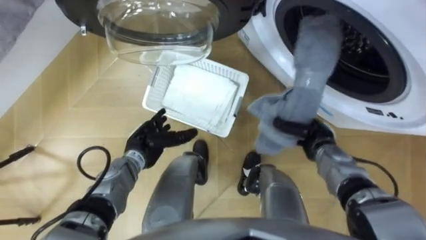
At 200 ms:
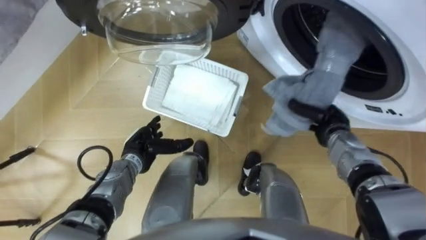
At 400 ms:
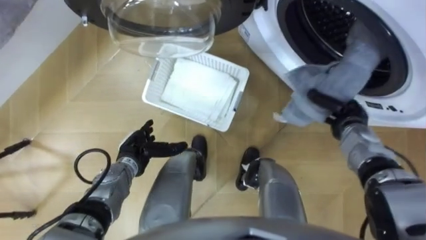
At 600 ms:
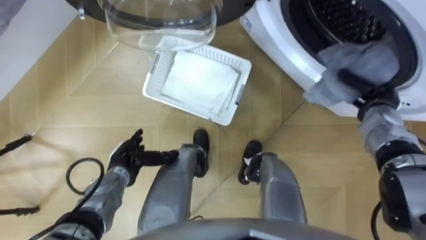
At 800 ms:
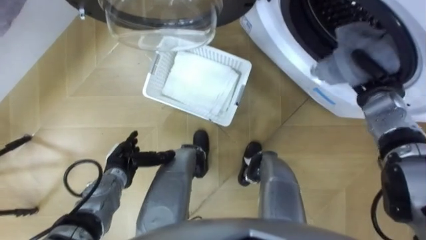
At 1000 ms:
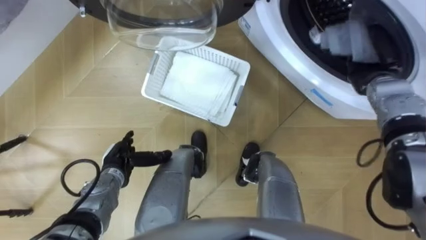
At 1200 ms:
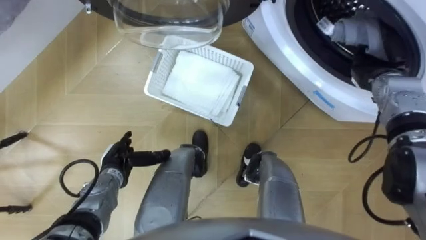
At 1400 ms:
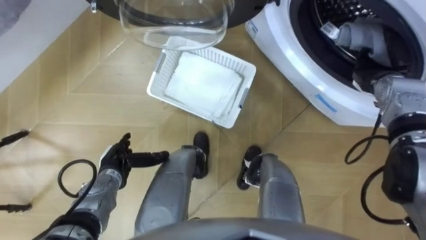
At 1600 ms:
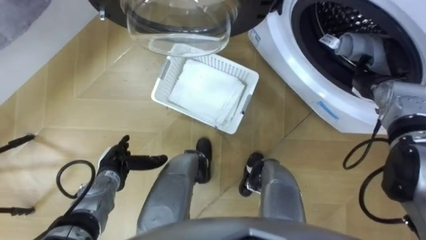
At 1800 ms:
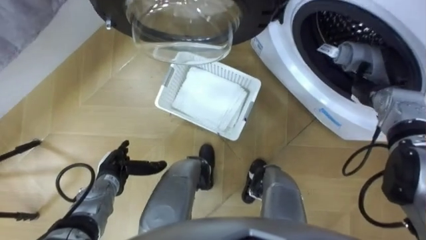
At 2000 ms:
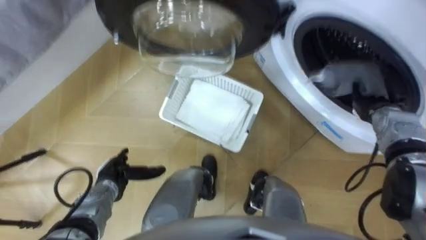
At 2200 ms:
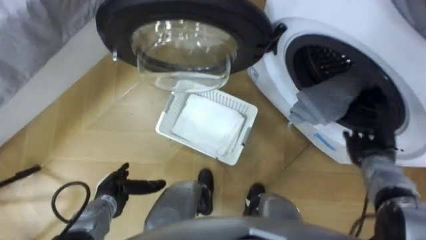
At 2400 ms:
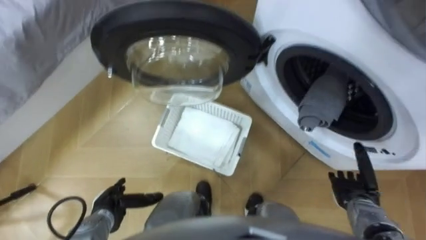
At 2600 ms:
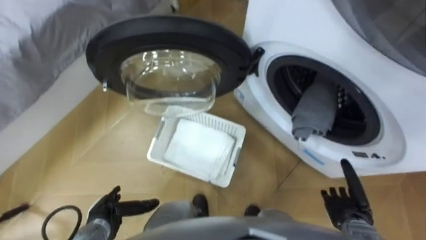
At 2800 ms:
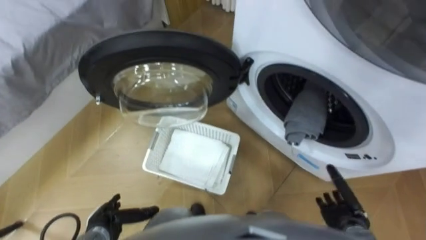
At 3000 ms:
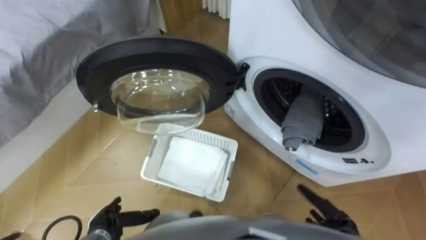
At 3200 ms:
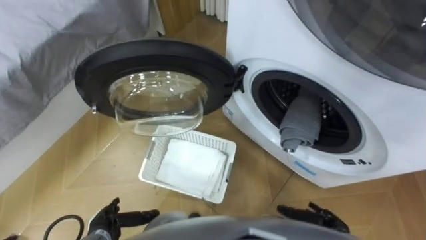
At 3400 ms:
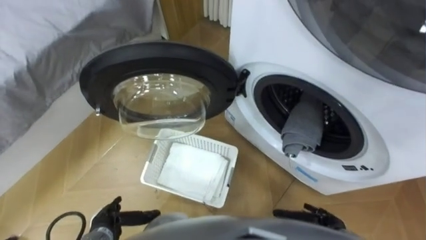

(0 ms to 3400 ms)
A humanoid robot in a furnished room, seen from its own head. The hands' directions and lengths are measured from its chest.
Task of the whole recording: Take the towel from the basket and put it into the washing machine.
0 ms - 1600 ms: The left hand is displaced to the left by approximately 5 cm. The right hand heads to the right, upward and forward, covering approximately 15 cm, and opens.
1600 ms - 3400 ms: The right hand is displaced backward and downward by roughly 35 cm, while the left hand is displaced backward by approximately 15 cm.

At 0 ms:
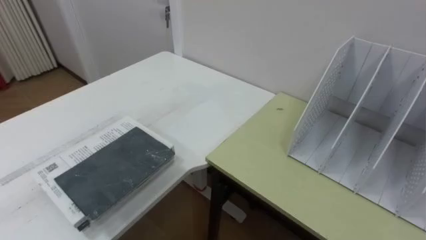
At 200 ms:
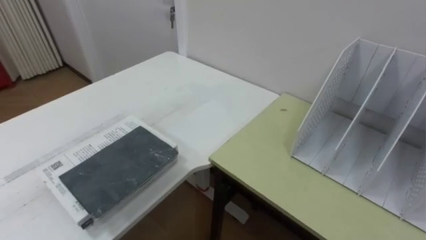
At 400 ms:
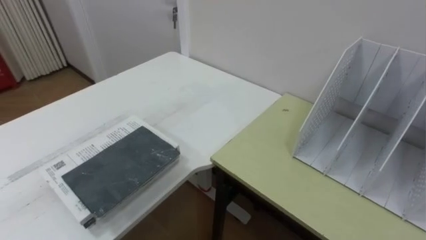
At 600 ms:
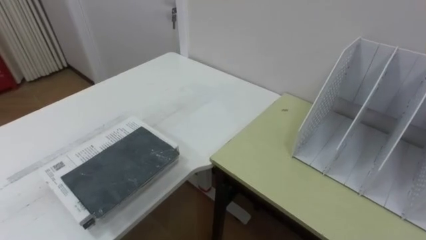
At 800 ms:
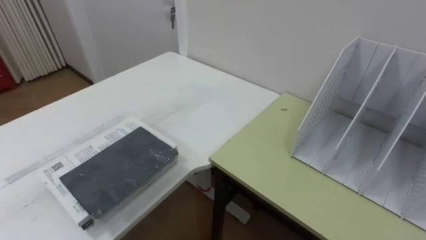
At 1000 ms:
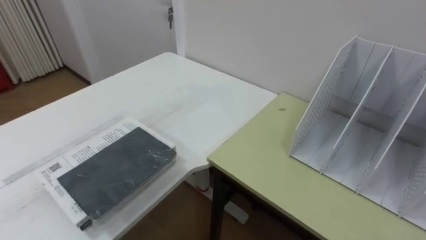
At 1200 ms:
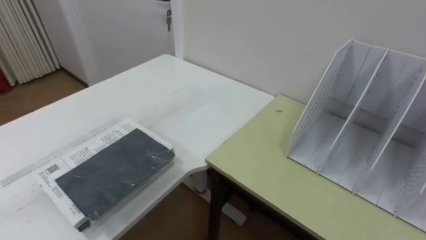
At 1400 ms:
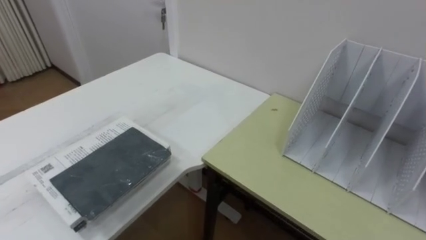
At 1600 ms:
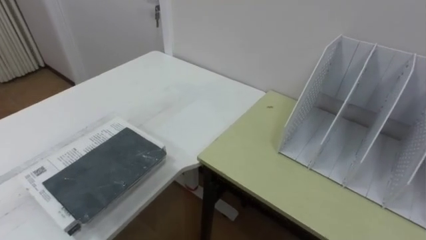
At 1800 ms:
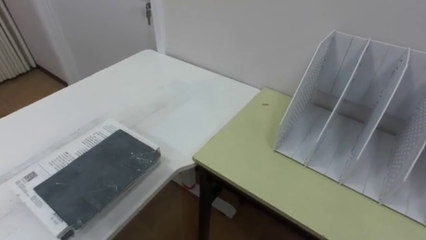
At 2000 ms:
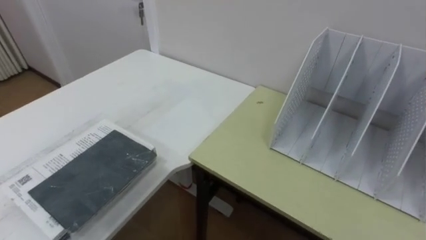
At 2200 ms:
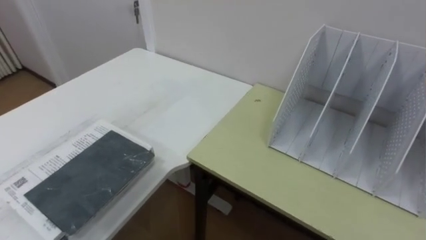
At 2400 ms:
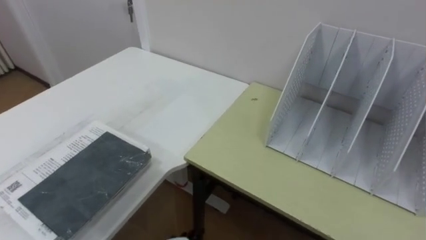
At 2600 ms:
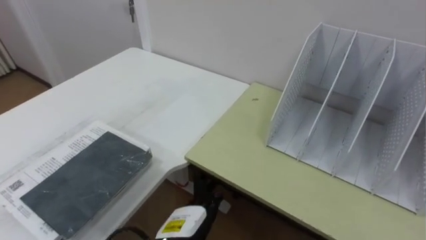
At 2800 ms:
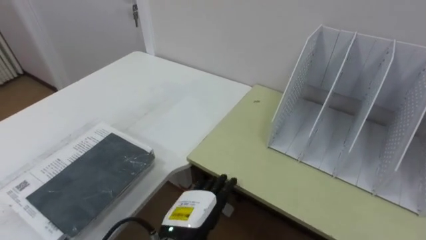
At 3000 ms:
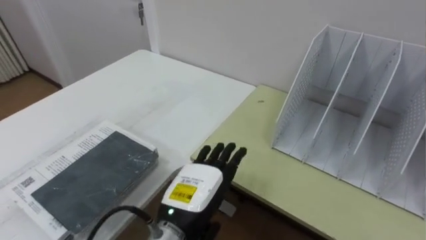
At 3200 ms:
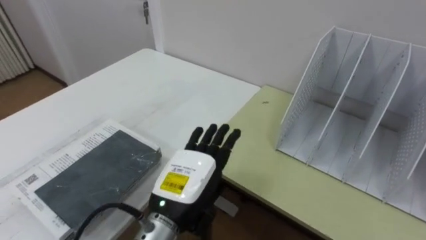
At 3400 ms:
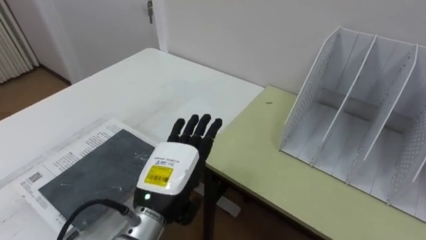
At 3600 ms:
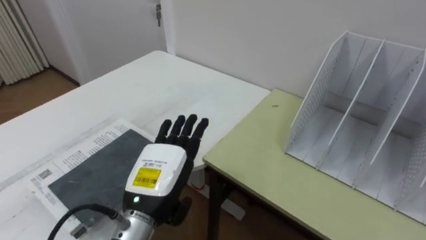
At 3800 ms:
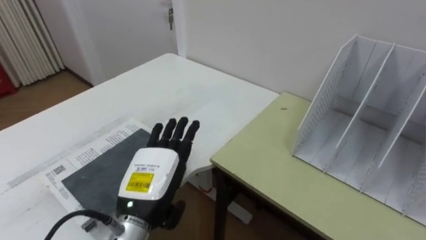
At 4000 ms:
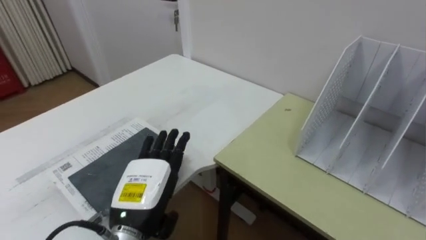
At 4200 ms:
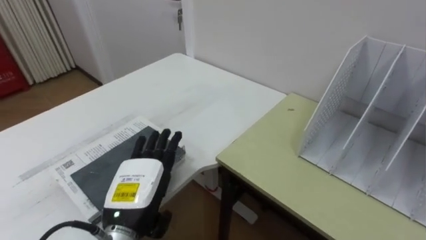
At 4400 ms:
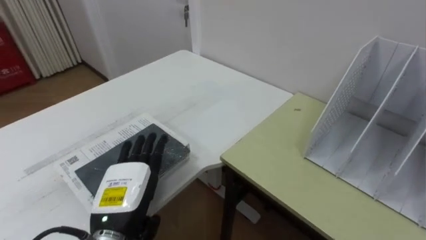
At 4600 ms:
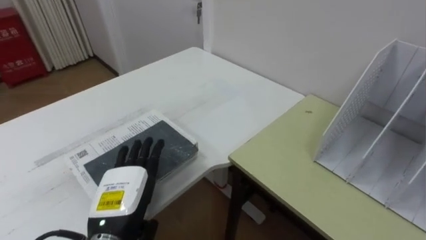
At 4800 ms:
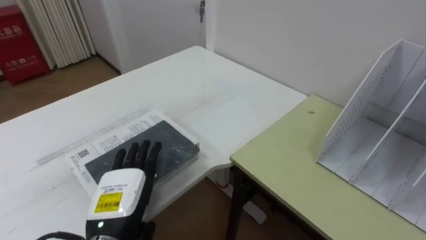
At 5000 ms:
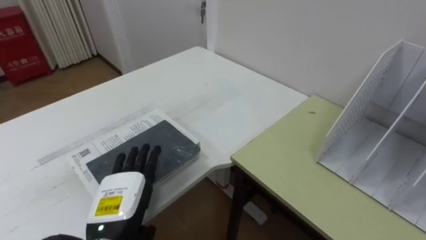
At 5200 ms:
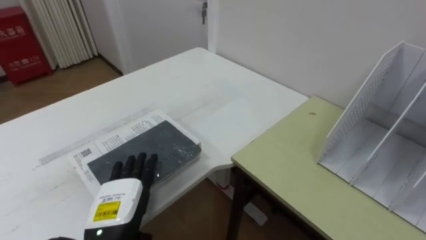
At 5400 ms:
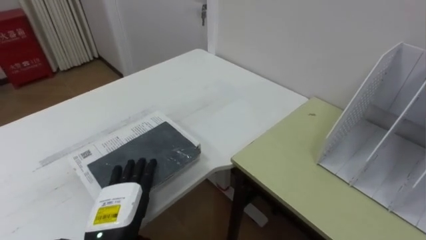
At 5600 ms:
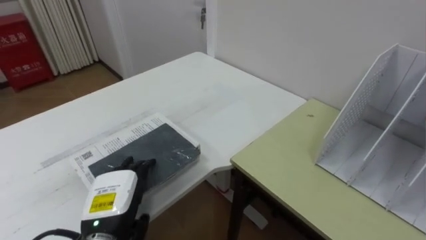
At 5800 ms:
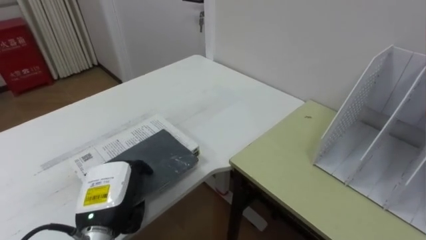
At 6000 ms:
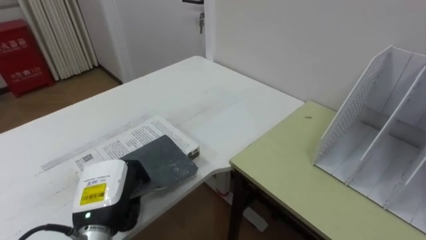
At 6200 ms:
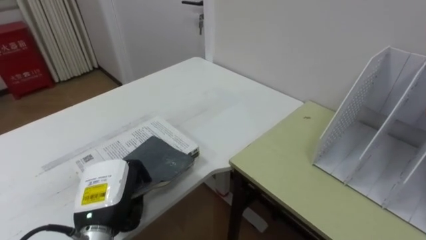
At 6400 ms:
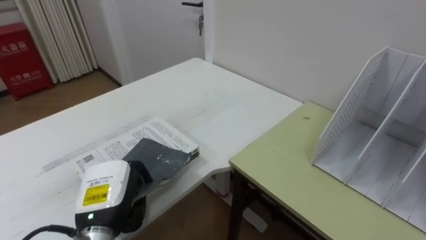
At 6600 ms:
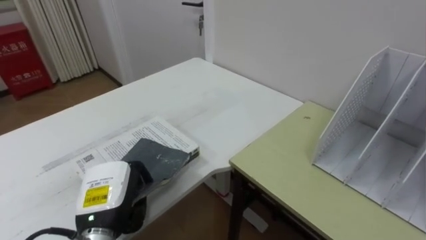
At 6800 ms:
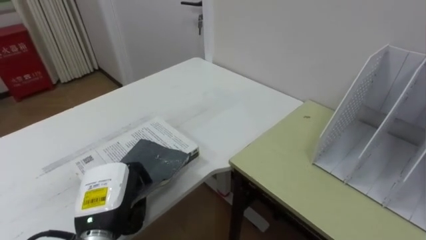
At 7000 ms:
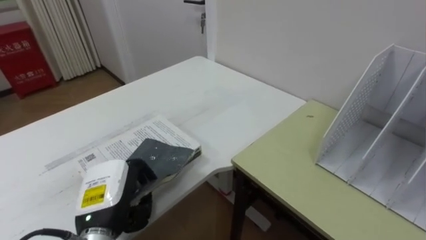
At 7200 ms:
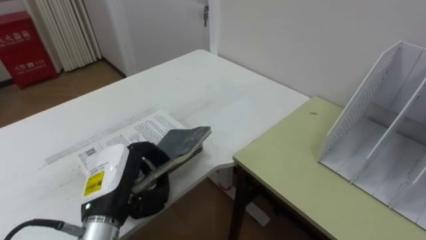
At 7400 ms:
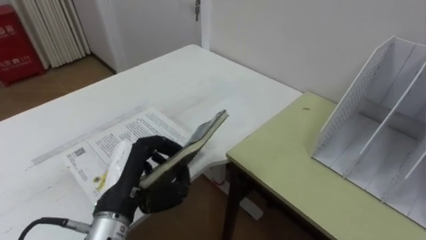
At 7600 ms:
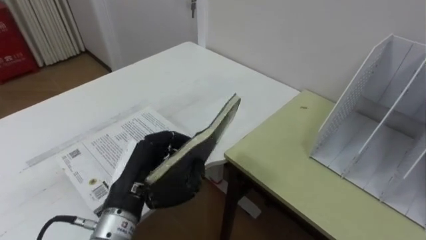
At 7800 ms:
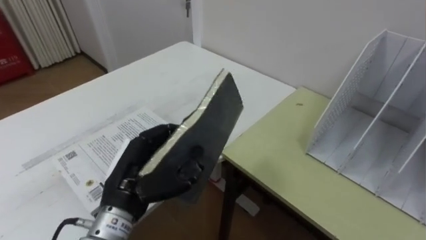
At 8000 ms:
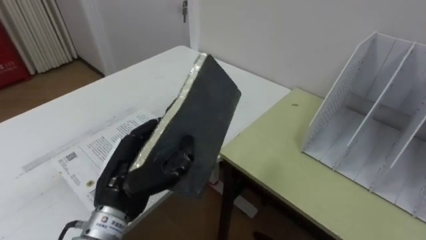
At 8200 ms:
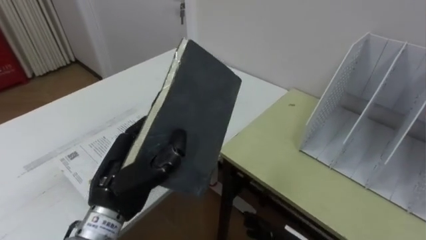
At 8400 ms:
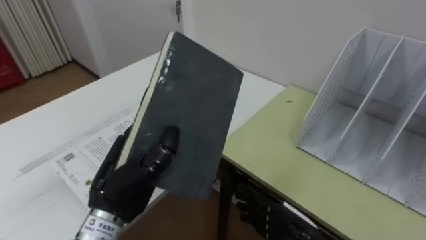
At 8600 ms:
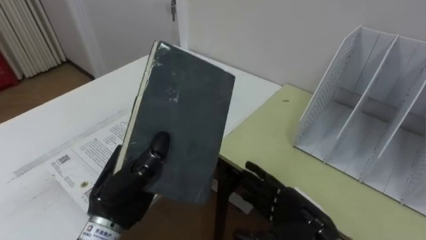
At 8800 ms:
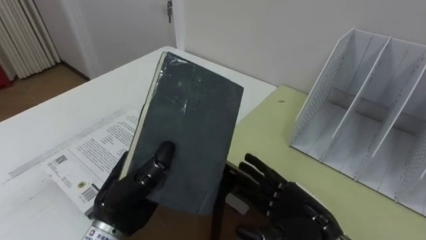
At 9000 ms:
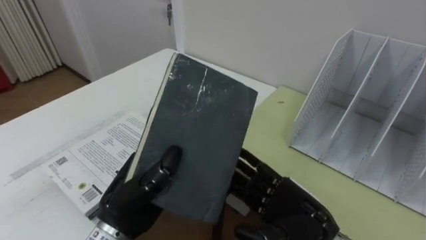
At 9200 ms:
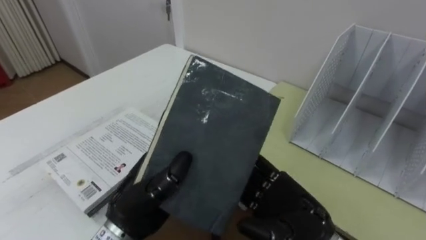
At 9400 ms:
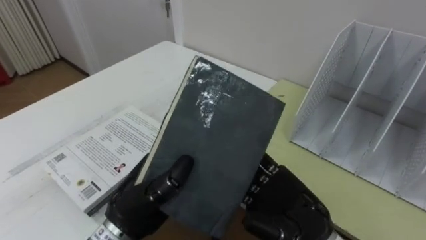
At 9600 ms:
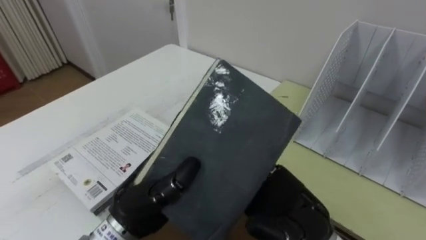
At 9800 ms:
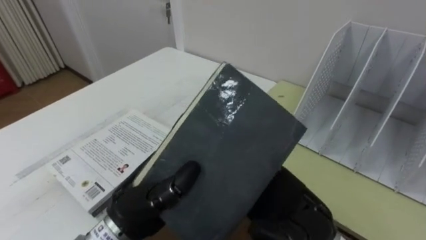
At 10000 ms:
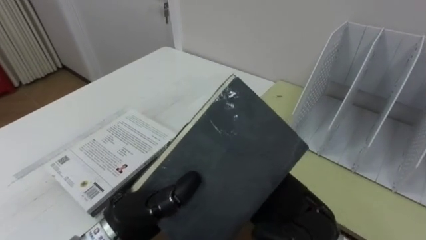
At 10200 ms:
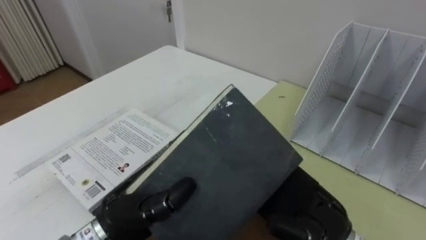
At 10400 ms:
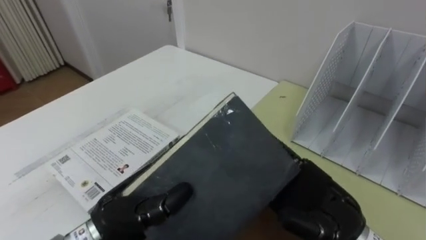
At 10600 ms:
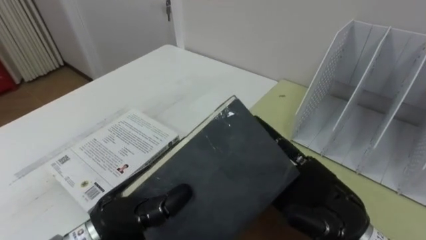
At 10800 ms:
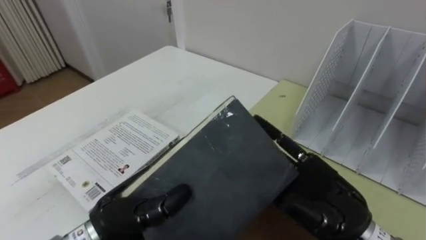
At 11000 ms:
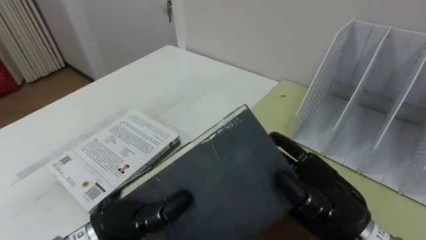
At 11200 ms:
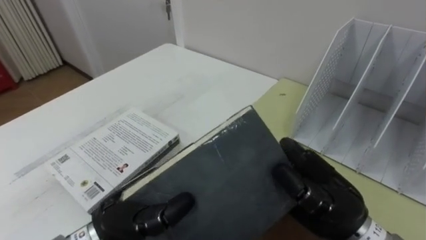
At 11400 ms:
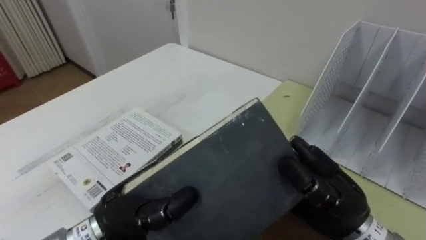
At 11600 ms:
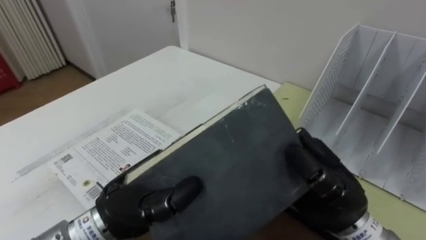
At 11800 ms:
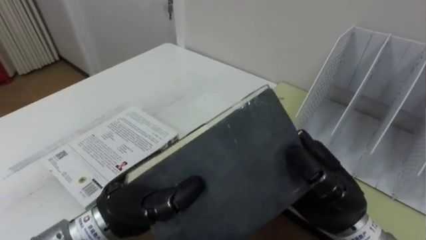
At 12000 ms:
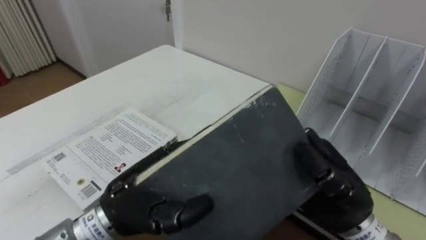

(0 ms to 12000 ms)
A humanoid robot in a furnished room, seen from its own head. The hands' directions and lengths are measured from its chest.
Task of the whole recording: Put the books on the table onto the bookshelf.
3000 ms - 4400 ms: The left hand heads to the left, covering some 10 cm.
4400 ms - 6000 ms: The left hand closes.
6000 ms - 7600 ms: The left hand shifts about 10 cm upward and to the right.
9000 ms - 10400 ms: The right hand heads upward, covering some 5 cm.
10400 ms - 12000 ms: The right hand closes.

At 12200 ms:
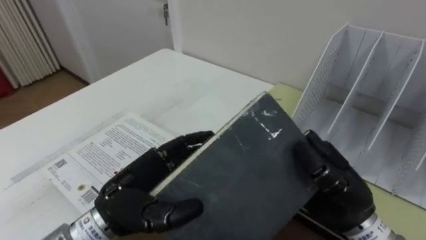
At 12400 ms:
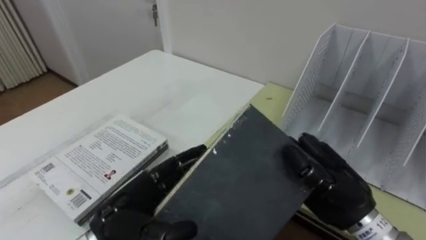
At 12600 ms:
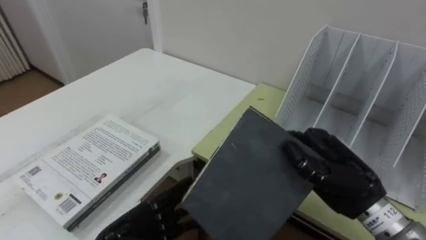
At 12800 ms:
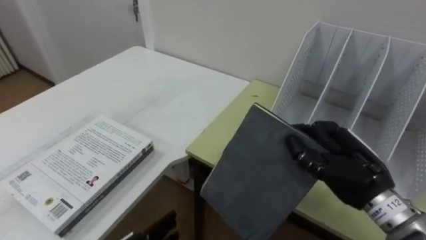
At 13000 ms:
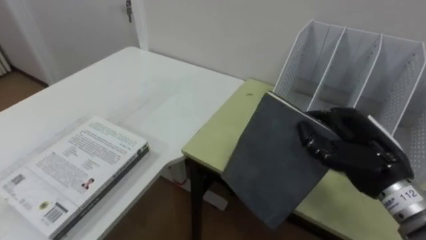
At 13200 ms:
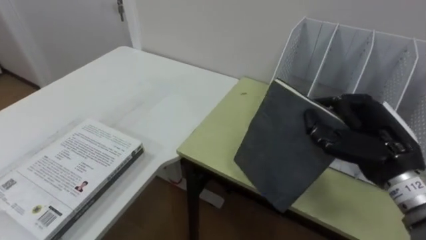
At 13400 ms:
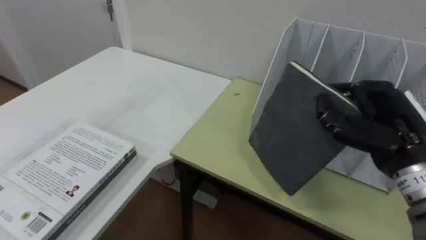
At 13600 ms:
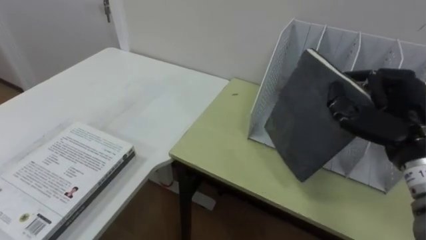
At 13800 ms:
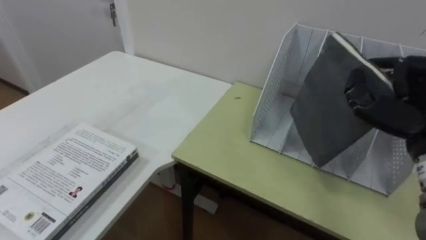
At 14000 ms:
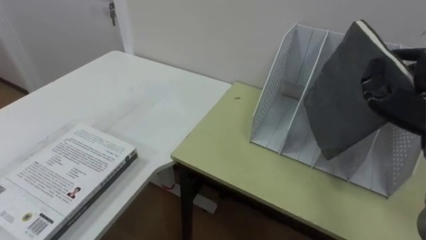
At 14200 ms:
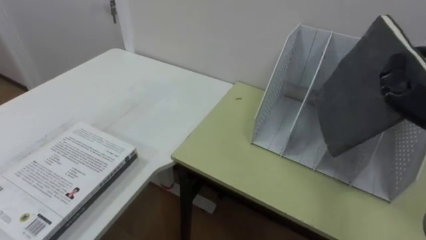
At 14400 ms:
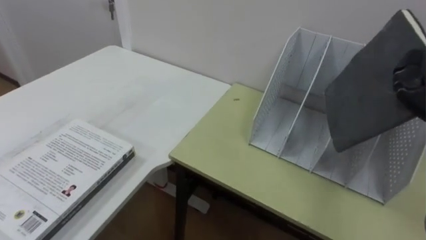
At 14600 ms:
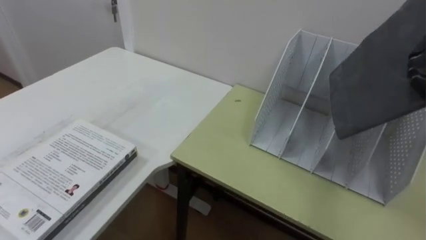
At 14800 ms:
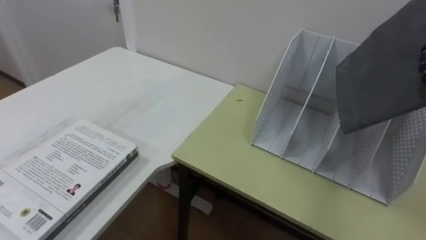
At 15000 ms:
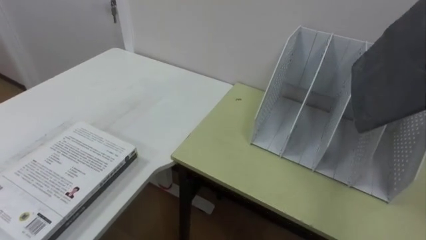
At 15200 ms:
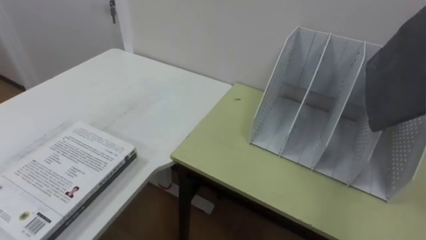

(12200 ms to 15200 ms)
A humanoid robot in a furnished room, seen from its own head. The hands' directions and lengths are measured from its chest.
Task of the whole recording: Put the books on the table onto the bookshelf.
12200 ms - 13800 ms: The right hand goes about 15 cm to the right and upward.
